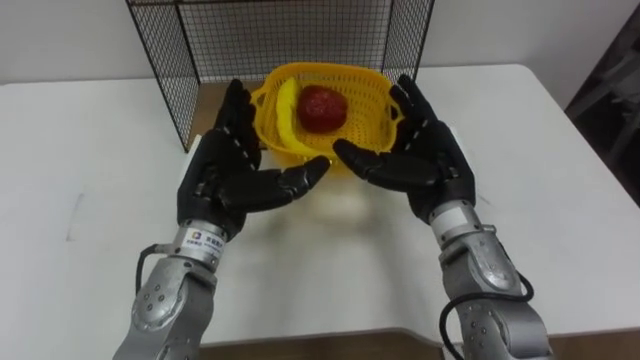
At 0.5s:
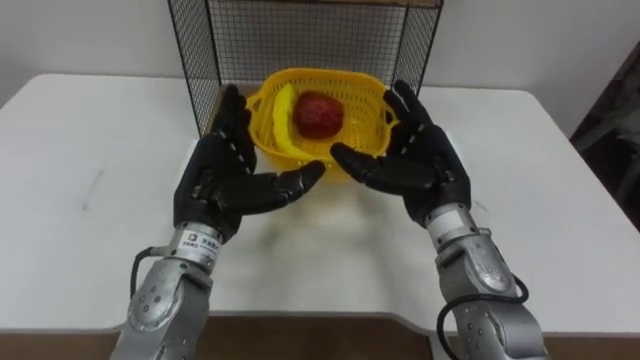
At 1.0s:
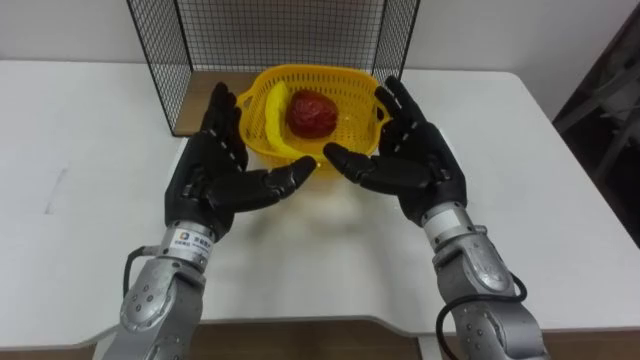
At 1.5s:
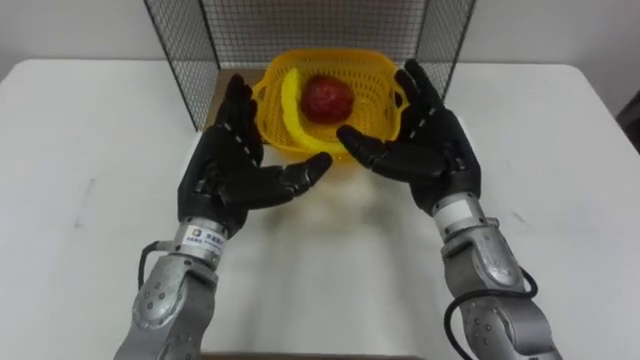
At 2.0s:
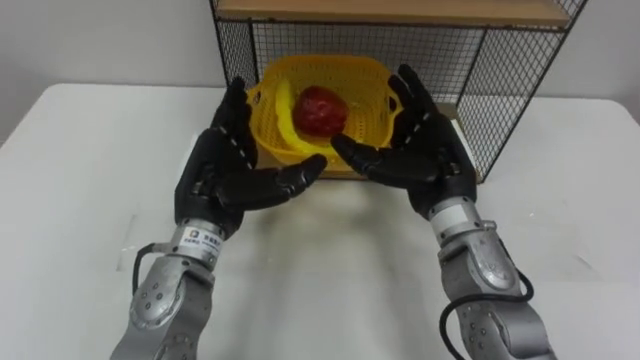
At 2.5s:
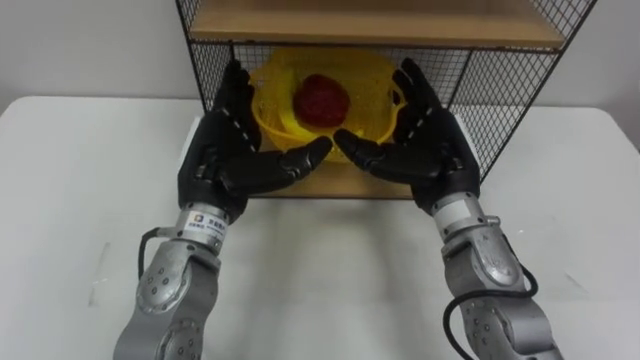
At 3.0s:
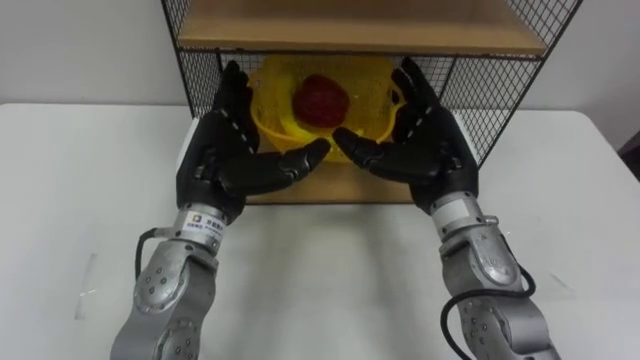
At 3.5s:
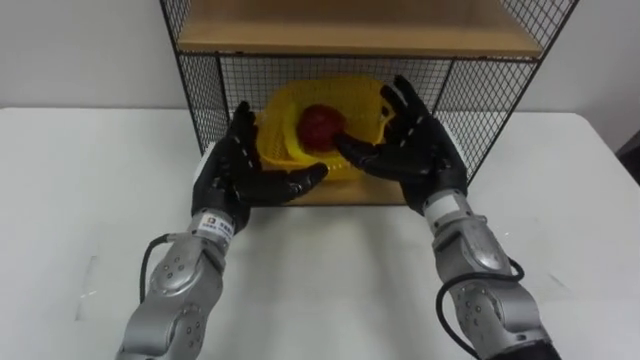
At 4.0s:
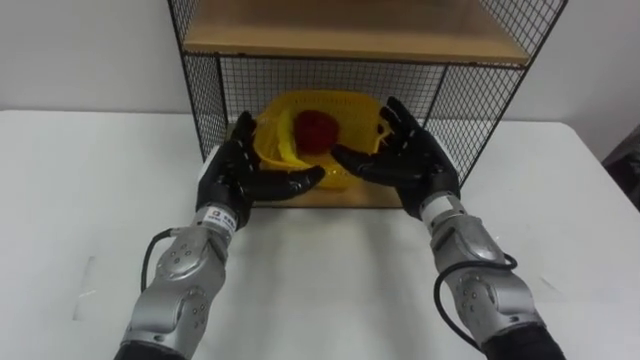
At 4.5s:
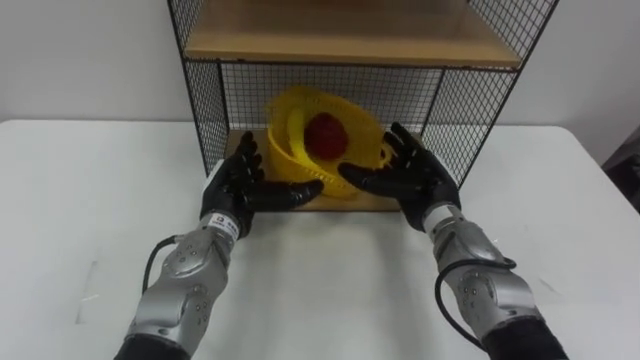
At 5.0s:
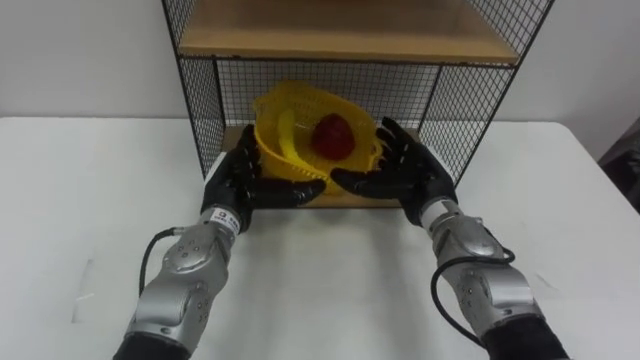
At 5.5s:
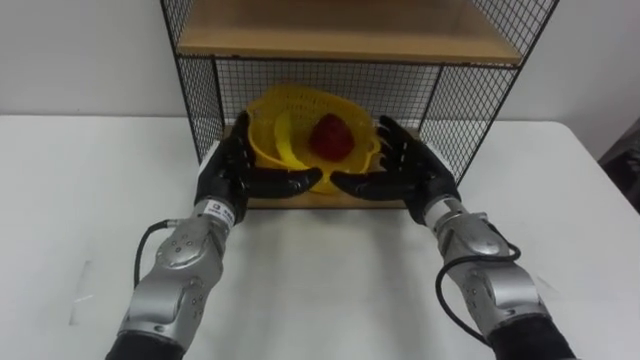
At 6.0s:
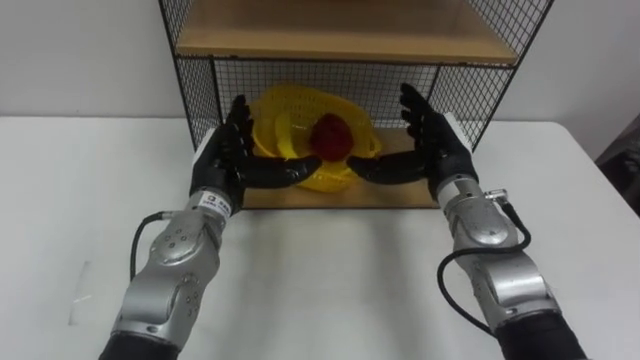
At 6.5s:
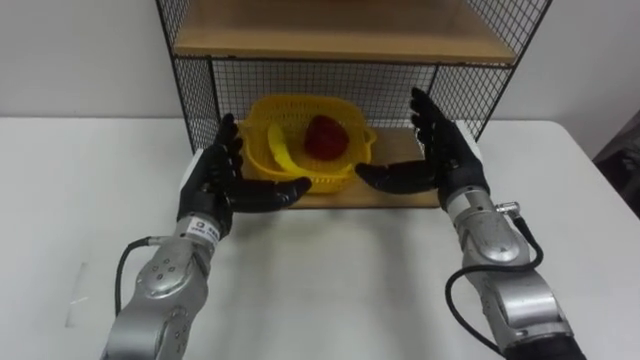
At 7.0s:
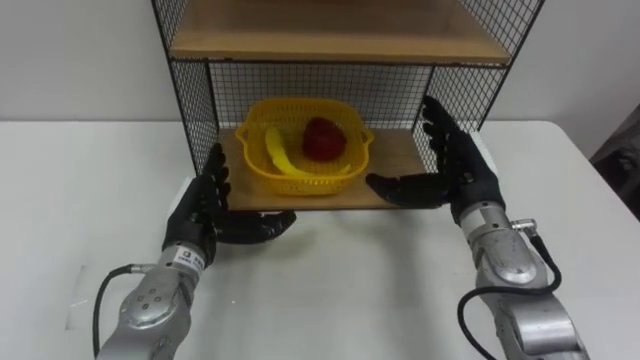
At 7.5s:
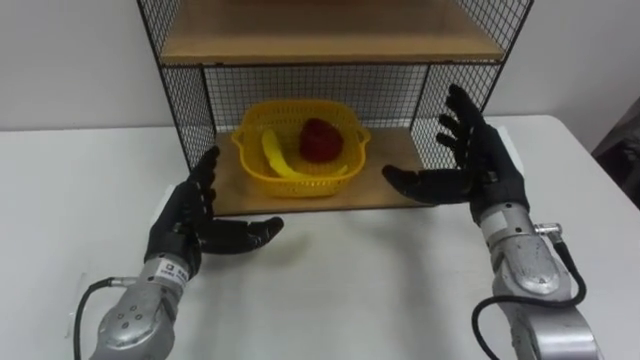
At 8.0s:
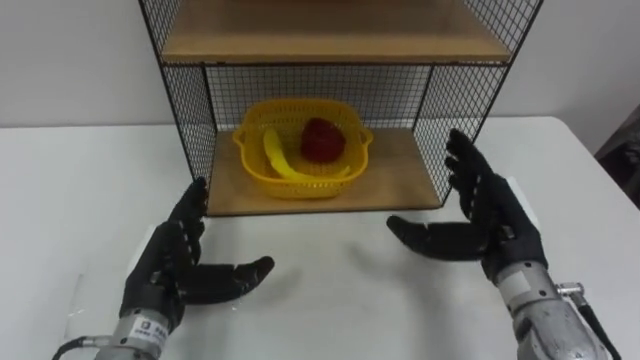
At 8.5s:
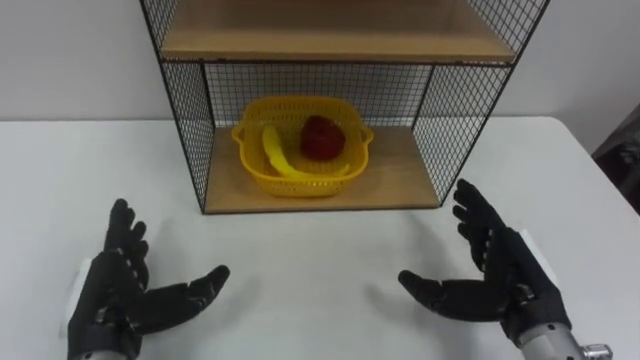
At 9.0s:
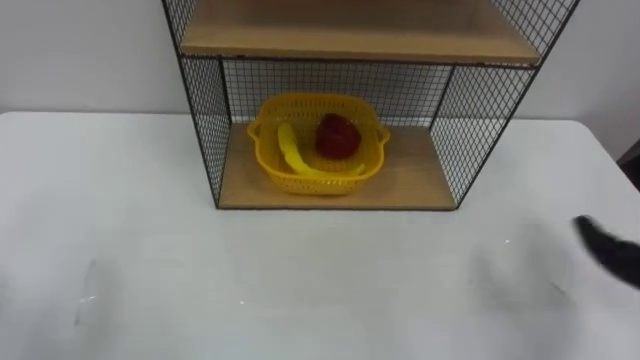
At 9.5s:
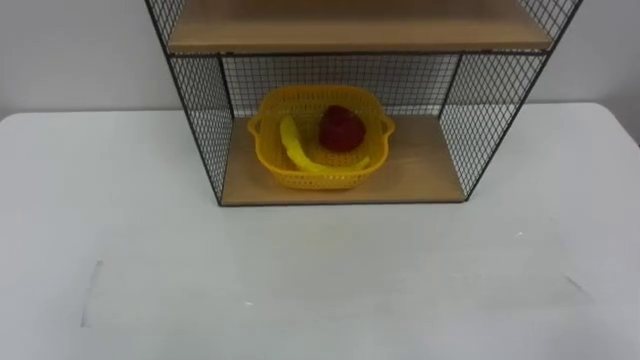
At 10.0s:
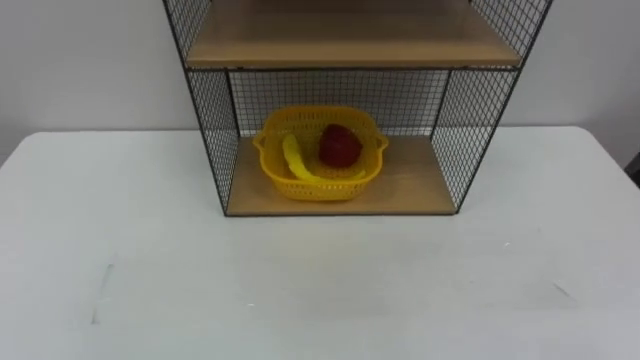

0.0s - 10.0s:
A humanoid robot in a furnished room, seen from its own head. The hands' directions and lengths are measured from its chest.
Task of the whole recording: Put the fruit on the table into the basket, then place the basket on the shelf.
2.0s - 4.0s: Both hands move downward, about 5 cm.
6.0s - 8.0s: The right hand moves backward and to the right, some 10 cm. The left hand travels backward and to the left by some 15 cm.

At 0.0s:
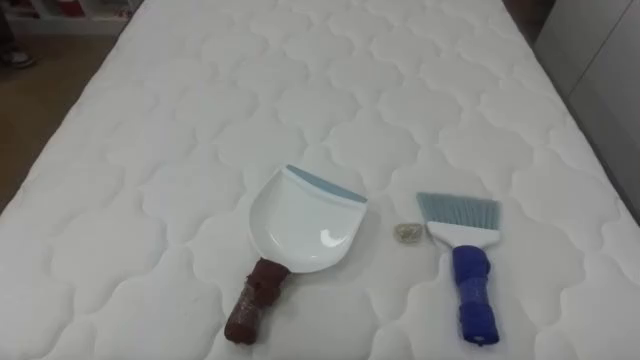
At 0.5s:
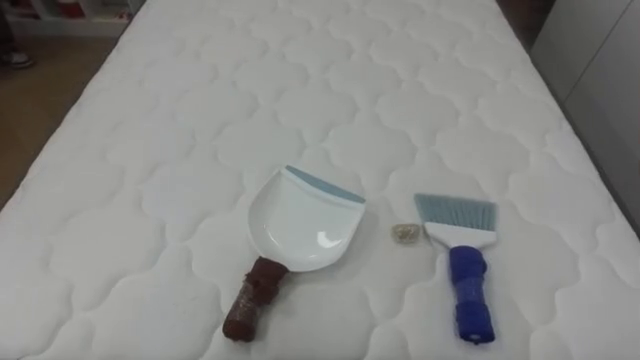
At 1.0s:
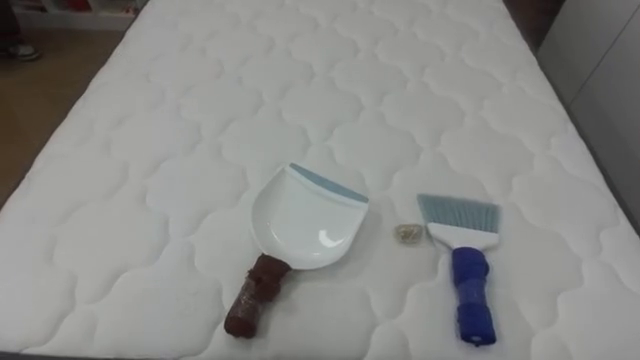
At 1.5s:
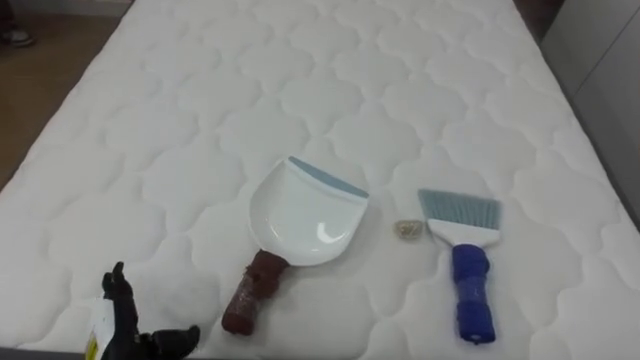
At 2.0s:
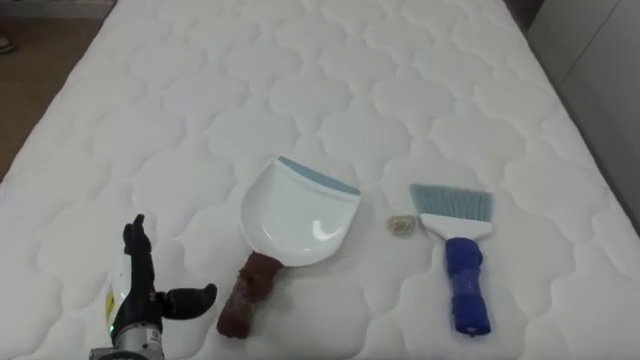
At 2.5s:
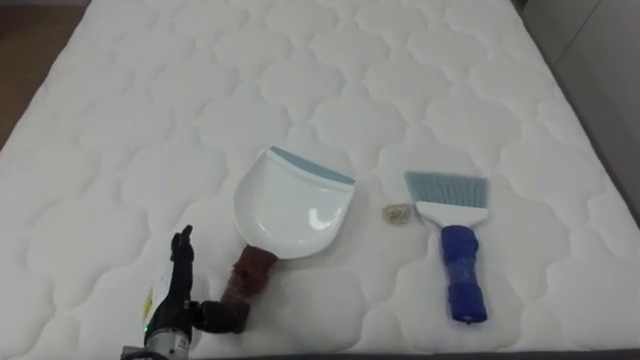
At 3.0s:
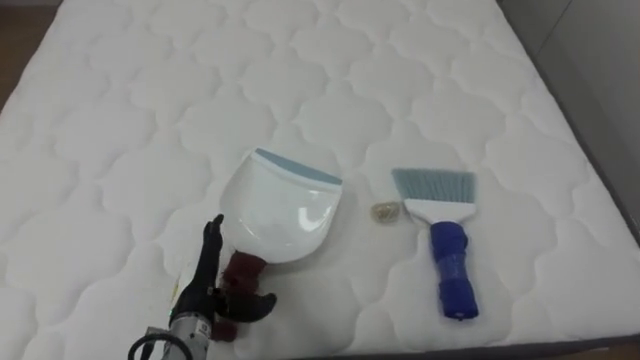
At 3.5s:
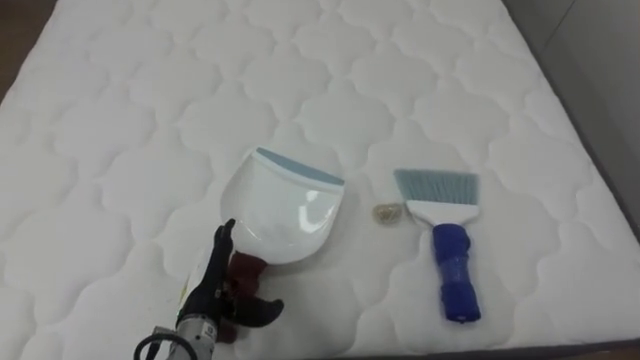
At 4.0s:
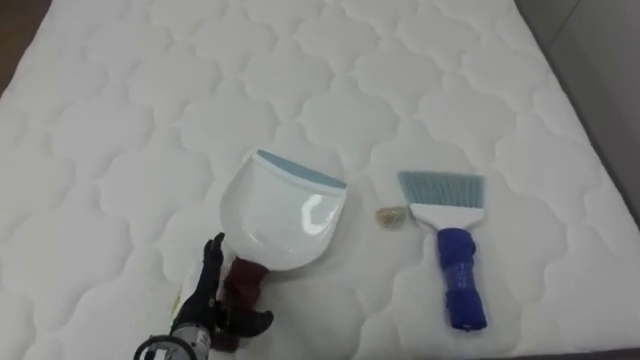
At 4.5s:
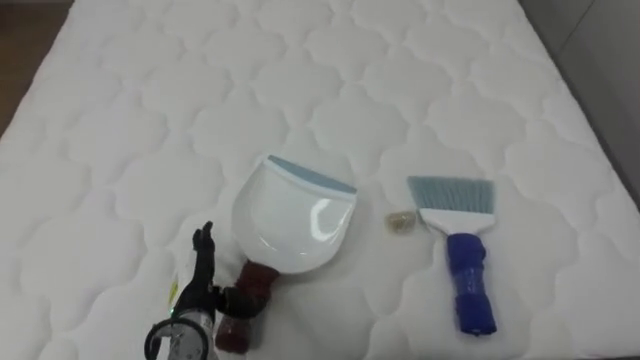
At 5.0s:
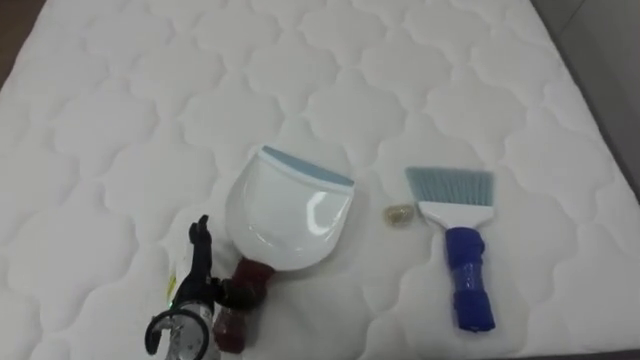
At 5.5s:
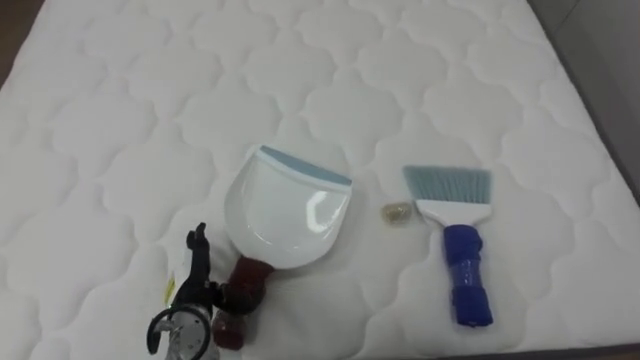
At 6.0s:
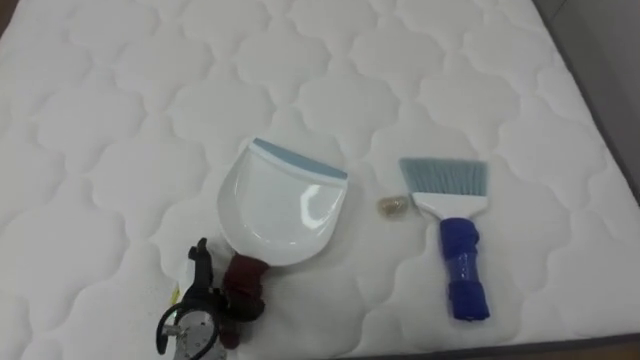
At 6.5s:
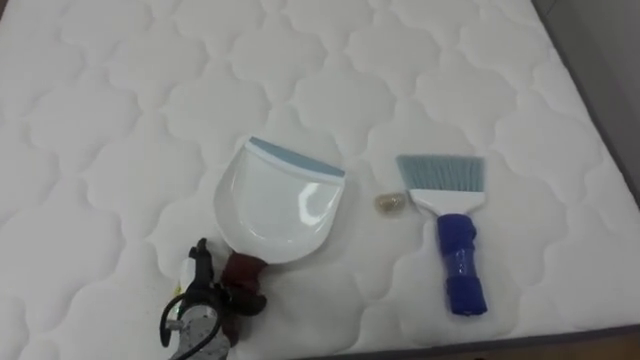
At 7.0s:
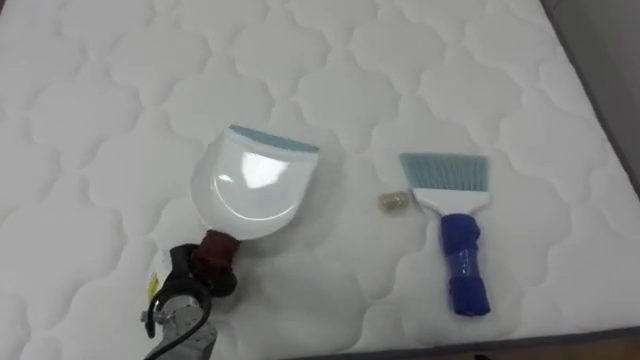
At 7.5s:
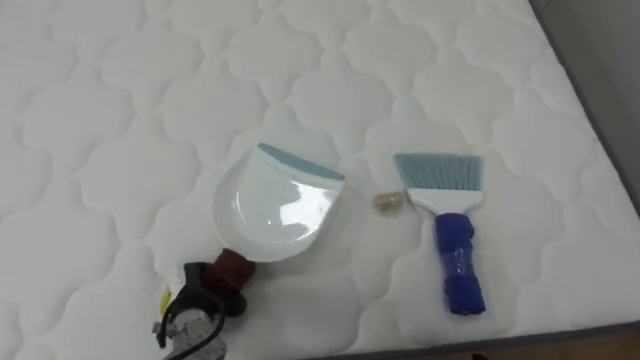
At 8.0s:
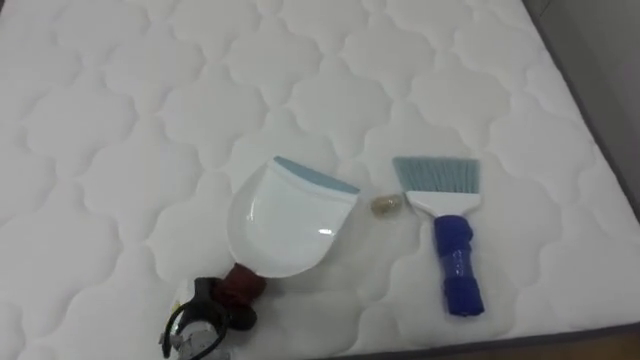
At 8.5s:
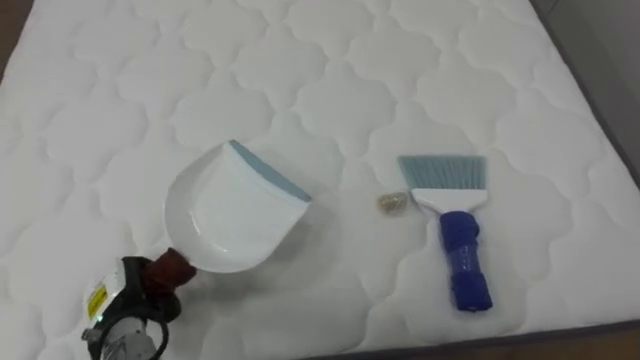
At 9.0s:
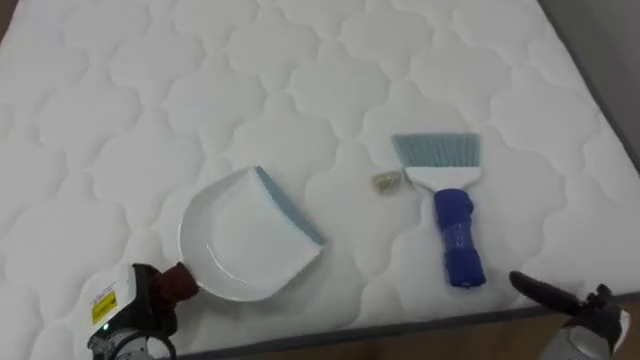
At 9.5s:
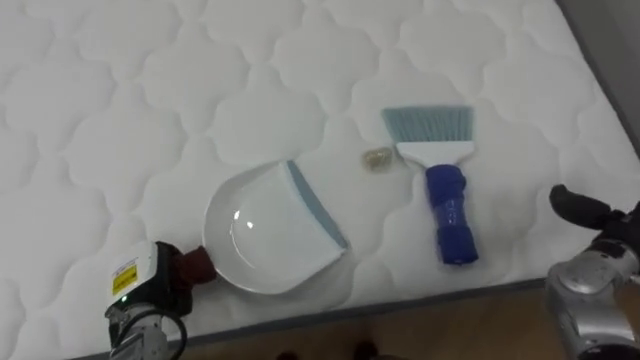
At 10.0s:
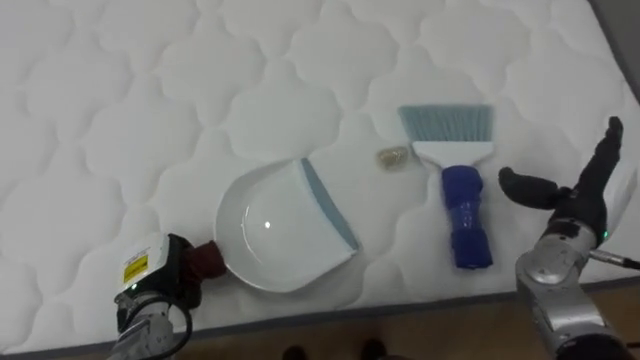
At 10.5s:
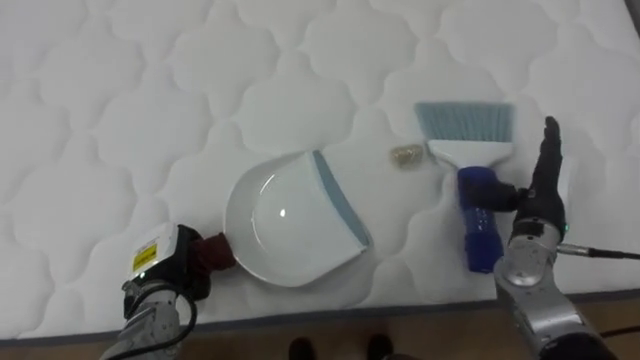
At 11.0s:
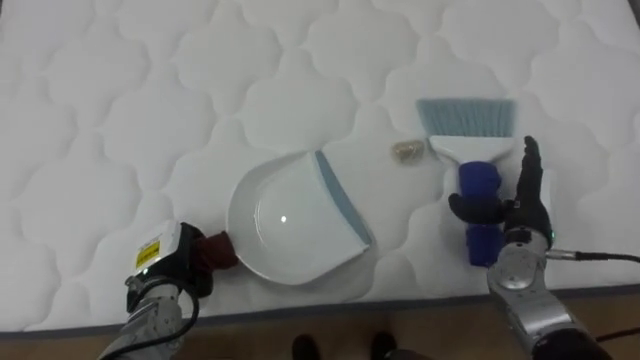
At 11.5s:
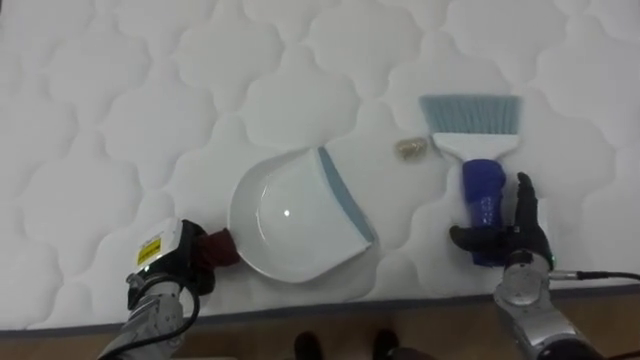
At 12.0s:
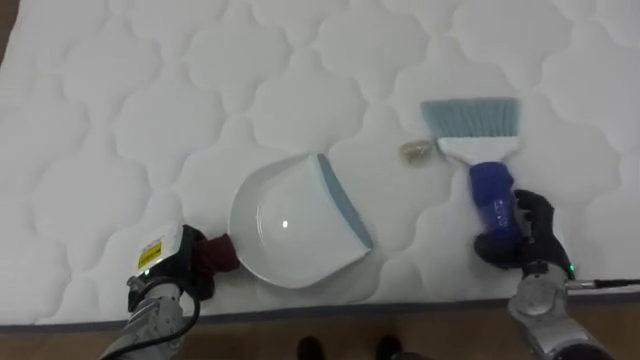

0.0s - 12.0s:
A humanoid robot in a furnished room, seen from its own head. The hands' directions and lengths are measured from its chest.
Task of the whole recording: Pick up the brush on your right and the dustpan on your left. Use the brush to sweep the crumpled paper on the bed into the dustpan, then turn left and empty it into the basket.
2.0s - 4.0s: The left hand shifts approximately 10 cm to the right.
6.0s - 8.0s: The left hand closes.
8.0s - 10.0s: The left hand is displaced to the left and upward by some 10 cm.
10.0s - 12.0s: The right hand goes about 10 cm downward.
